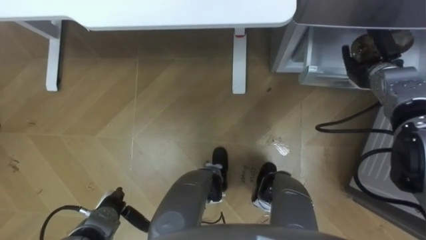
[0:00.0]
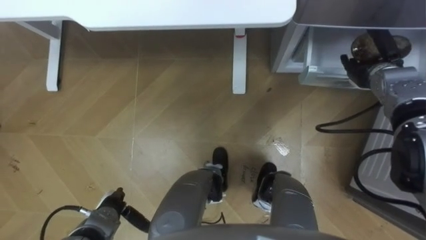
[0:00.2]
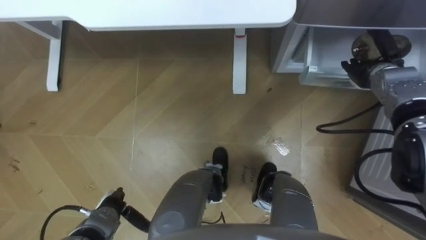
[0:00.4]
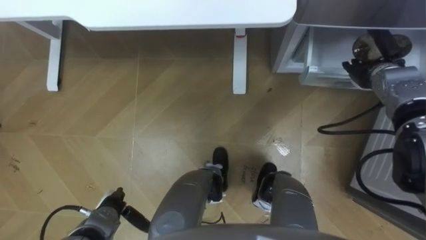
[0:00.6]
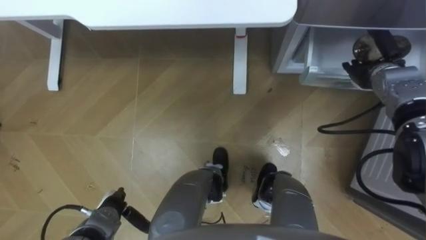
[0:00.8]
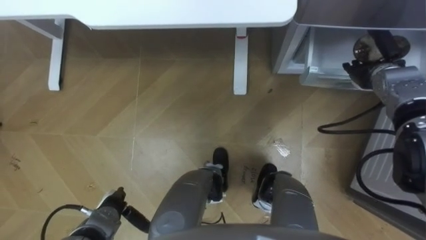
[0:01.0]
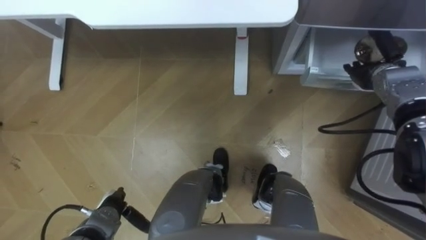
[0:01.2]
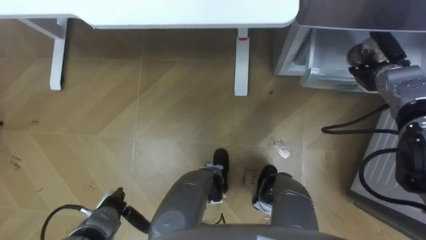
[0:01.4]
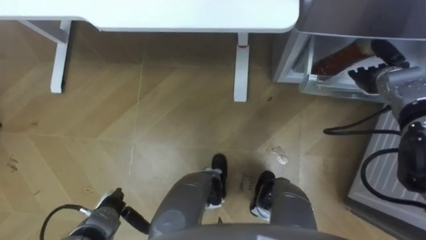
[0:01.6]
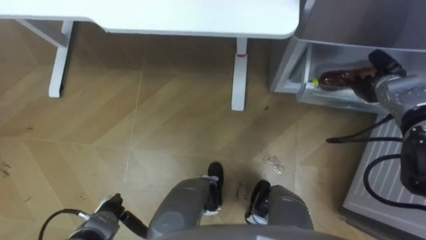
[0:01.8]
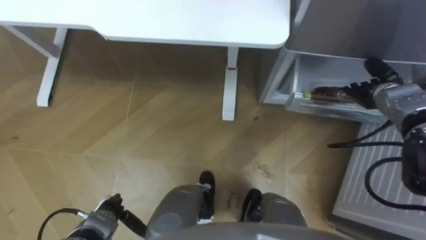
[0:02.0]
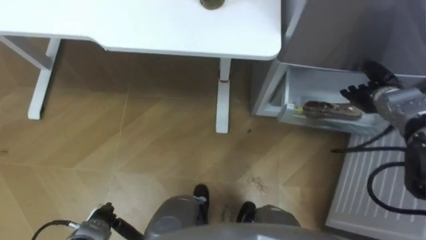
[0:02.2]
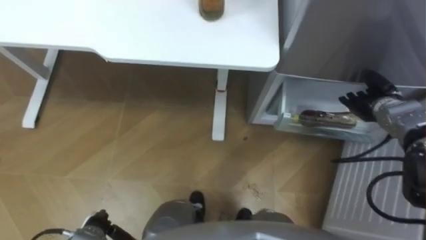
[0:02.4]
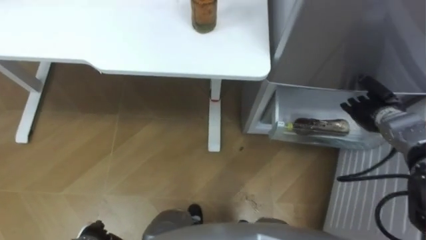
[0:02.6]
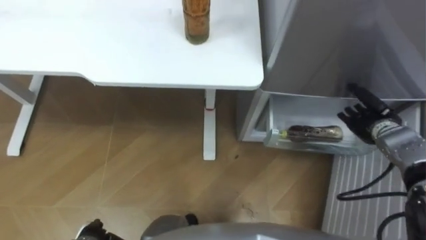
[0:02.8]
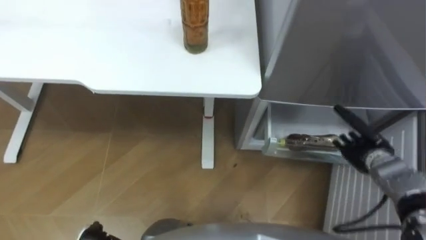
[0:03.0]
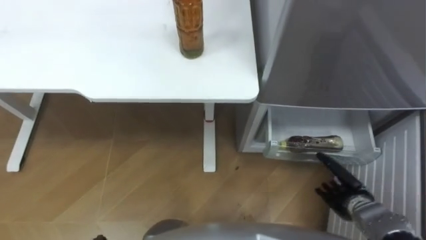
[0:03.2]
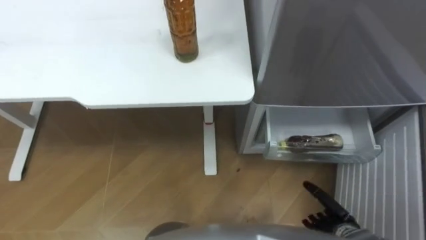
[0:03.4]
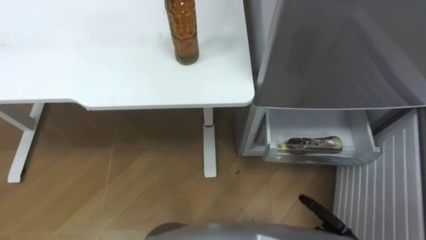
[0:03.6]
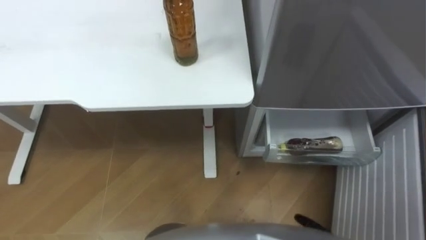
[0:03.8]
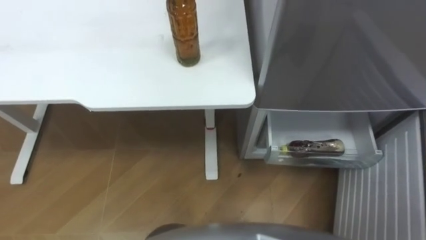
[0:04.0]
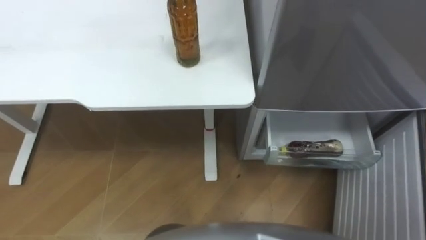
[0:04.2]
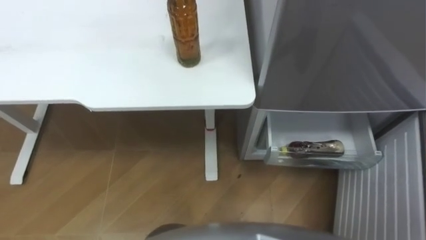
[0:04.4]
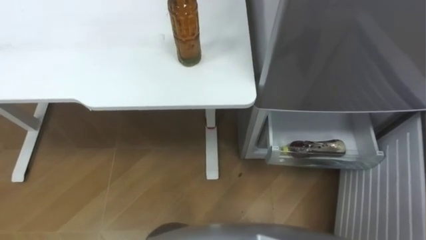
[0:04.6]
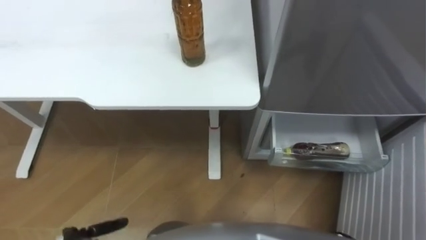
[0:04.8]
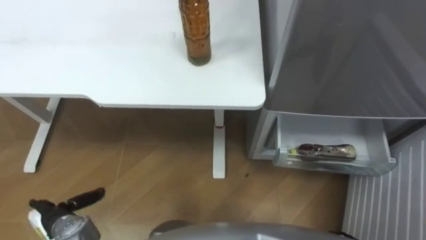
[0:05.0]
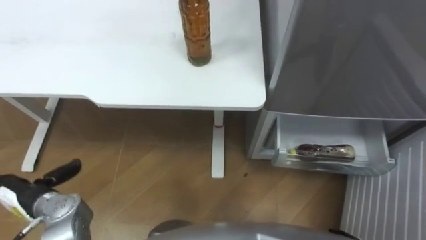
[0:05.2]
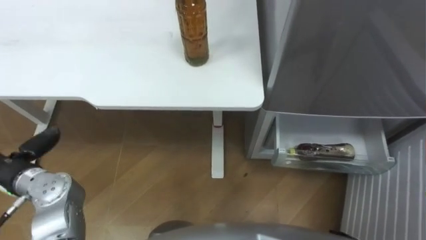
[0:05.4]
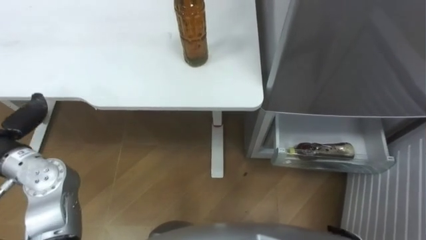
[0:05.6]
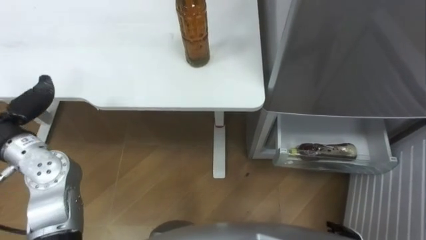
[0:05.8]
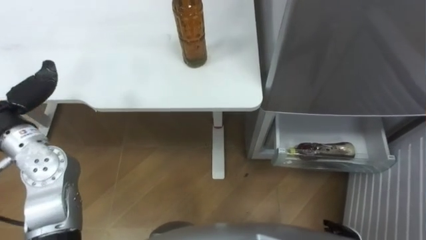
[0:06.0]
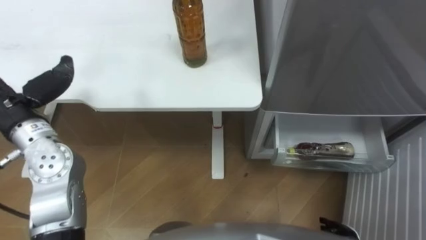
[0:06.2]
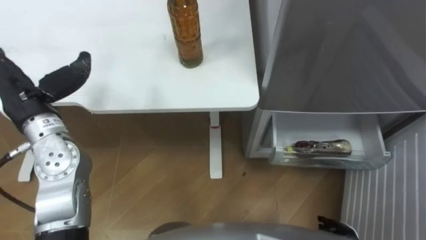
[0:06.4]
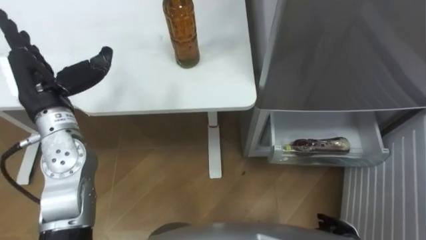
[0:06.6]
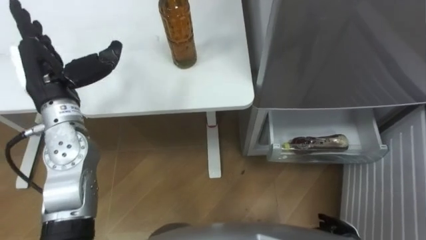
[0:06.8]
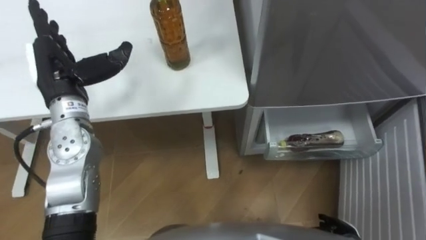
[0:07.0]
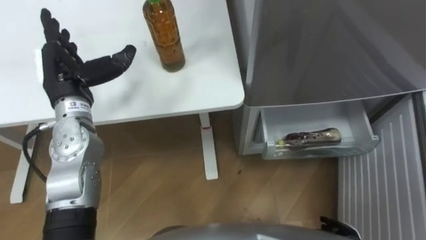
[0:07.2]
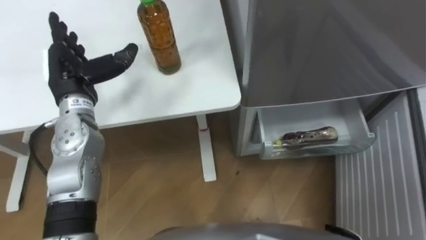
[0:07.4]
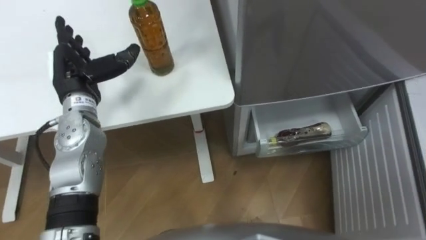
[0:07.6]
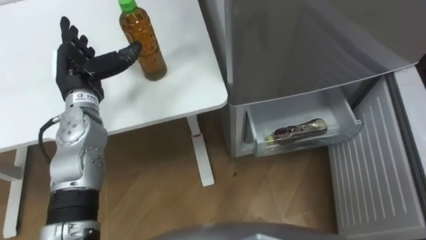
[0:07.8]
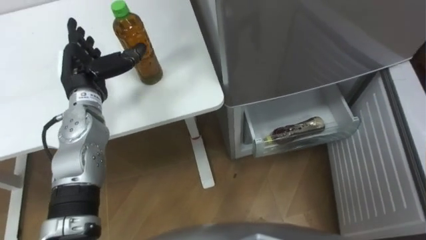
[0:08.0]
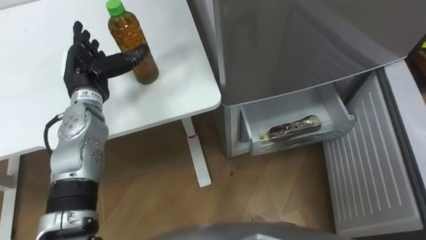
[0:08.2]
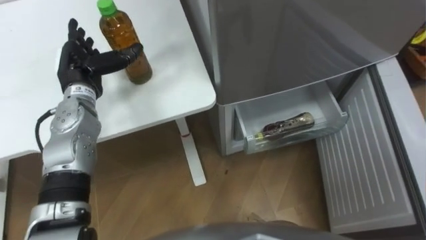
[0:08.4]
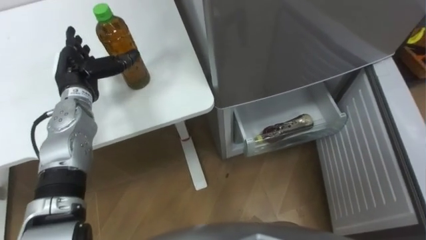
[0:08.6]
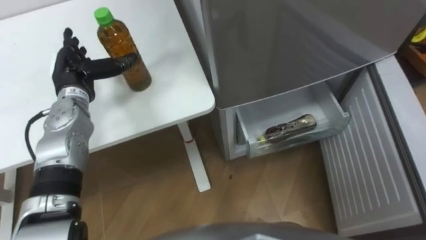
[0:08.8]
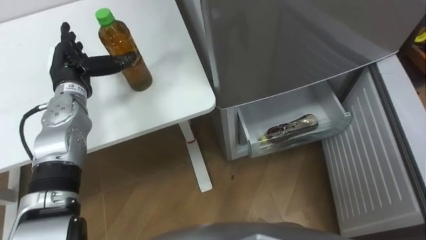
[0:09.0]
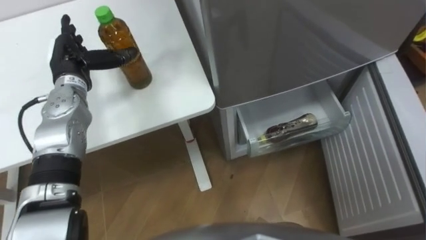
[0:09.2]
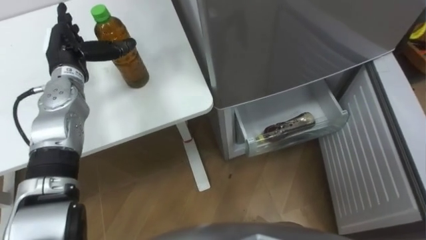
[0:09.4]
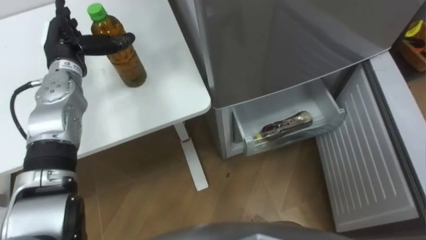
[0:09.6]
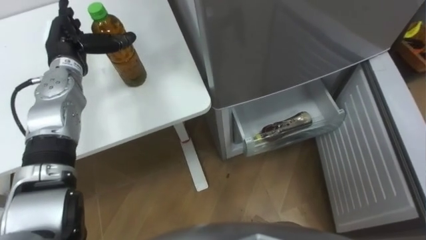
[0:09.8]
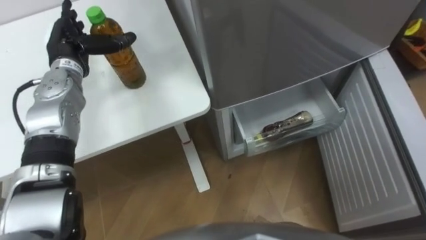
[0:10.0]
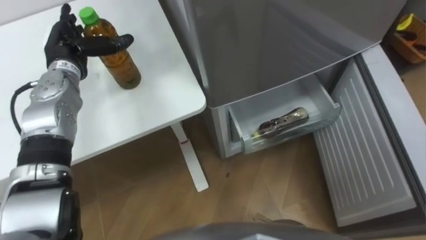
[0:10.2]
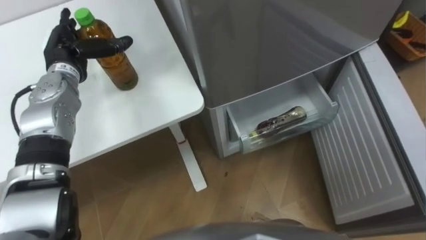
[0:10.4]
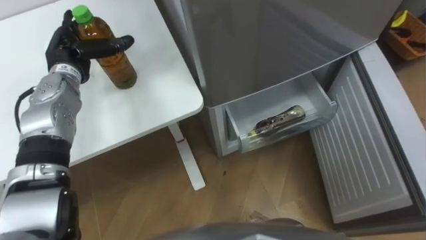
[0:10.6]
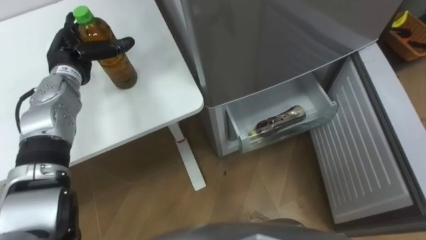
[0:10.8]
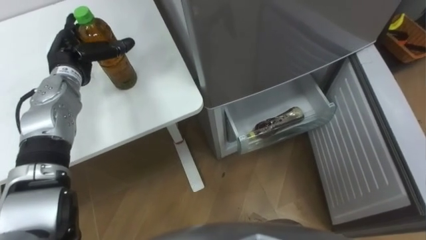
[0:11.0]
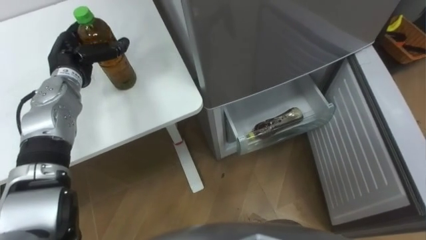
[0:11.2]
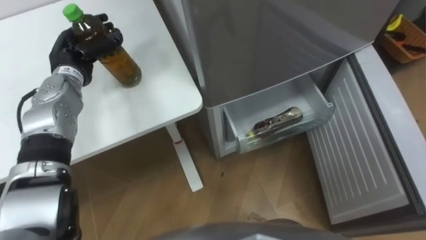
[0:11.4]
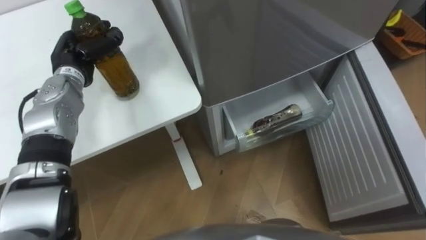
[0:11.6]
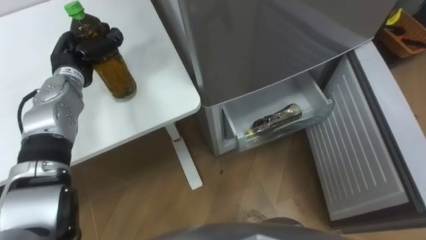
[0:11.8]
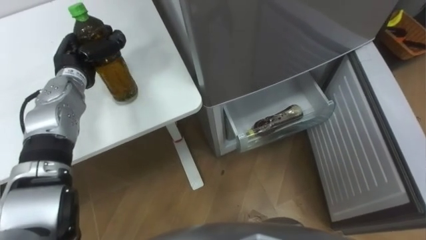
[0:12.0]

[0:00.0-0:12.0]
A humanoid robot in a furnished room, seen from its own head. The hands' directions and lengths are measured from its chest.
Task of the whole recording: Place the drink on the table on the bottom shelf of the refrigerator, then close the drawer and the refrigerator door.
0:01.6 to 0:03.0: The right hand goes about 15 cm backward and downward.
0:10.4 to 0:12.0: The left hand closes.

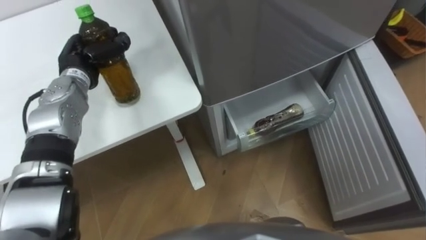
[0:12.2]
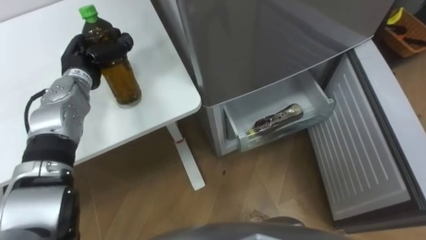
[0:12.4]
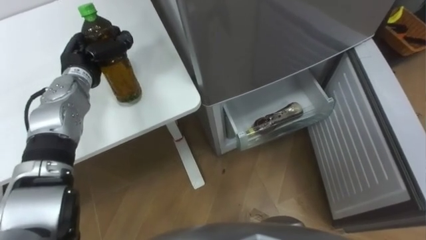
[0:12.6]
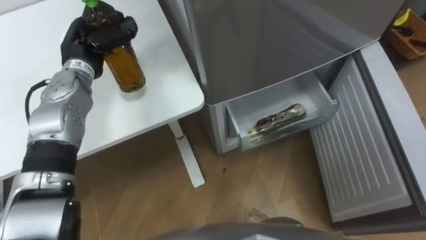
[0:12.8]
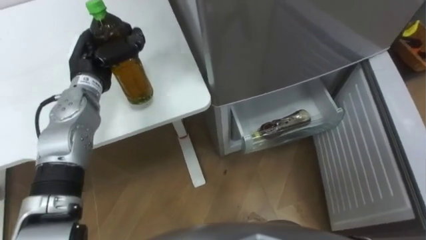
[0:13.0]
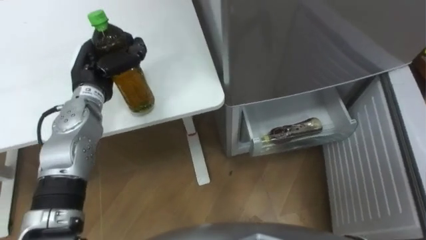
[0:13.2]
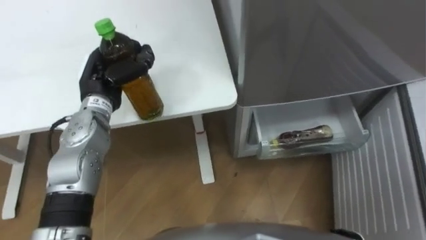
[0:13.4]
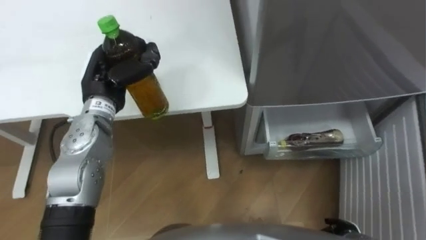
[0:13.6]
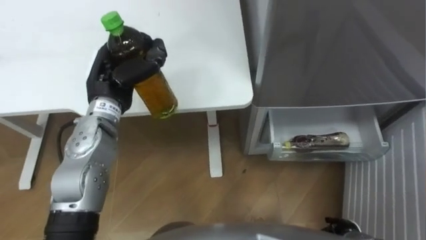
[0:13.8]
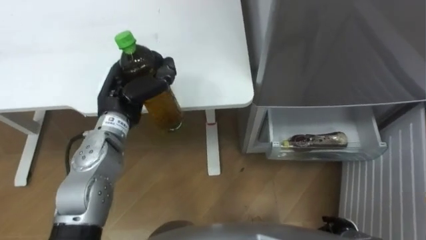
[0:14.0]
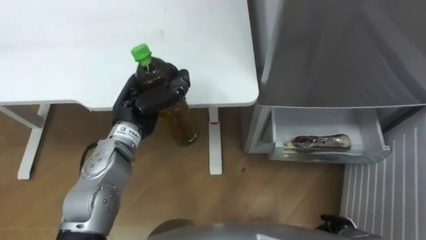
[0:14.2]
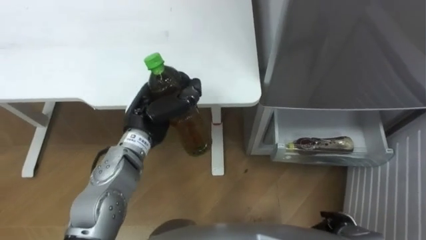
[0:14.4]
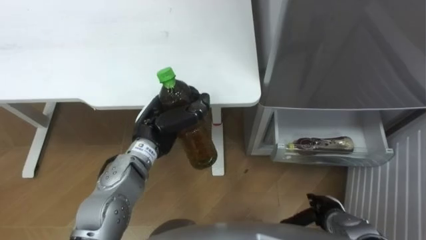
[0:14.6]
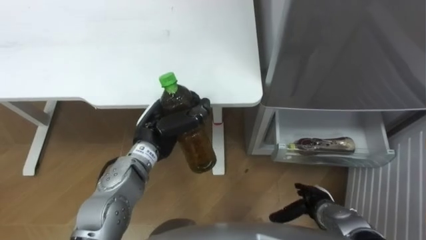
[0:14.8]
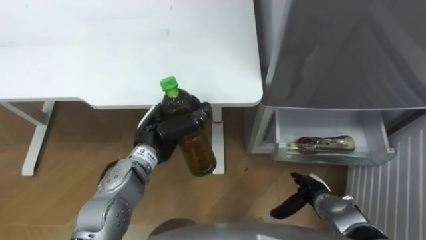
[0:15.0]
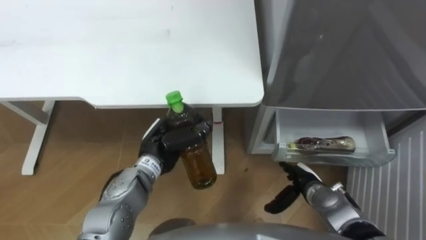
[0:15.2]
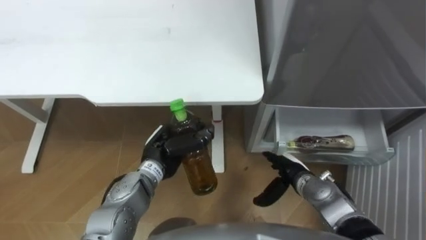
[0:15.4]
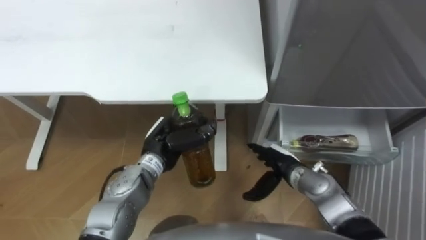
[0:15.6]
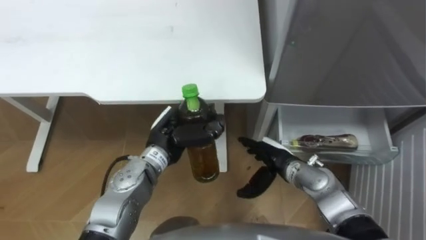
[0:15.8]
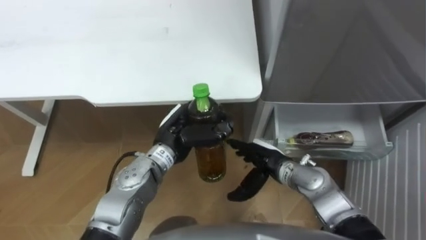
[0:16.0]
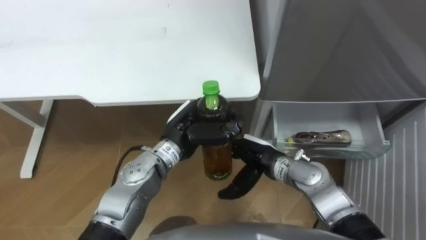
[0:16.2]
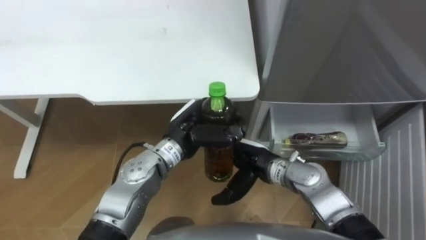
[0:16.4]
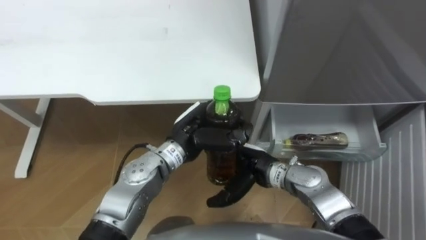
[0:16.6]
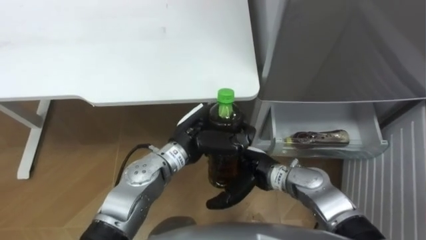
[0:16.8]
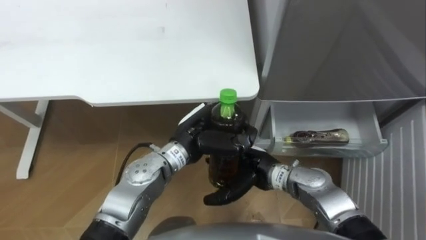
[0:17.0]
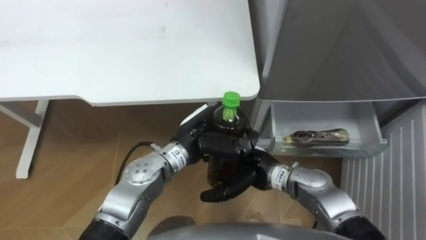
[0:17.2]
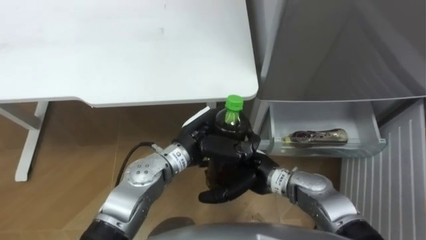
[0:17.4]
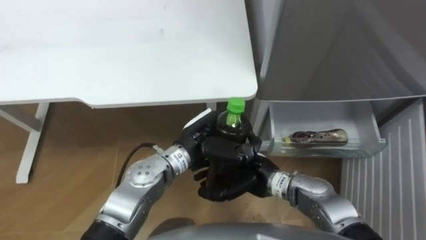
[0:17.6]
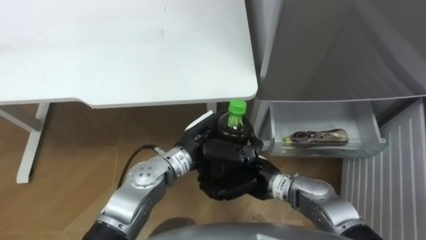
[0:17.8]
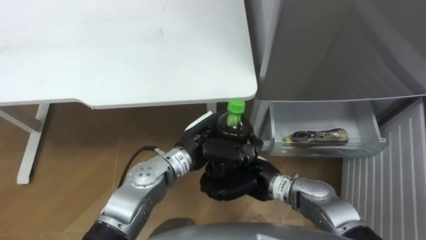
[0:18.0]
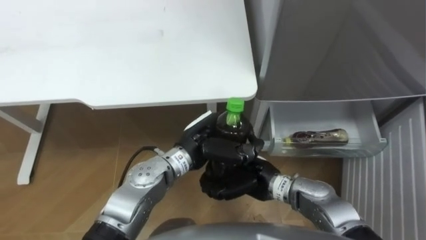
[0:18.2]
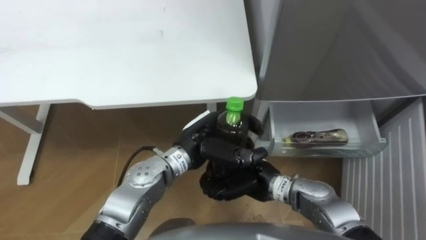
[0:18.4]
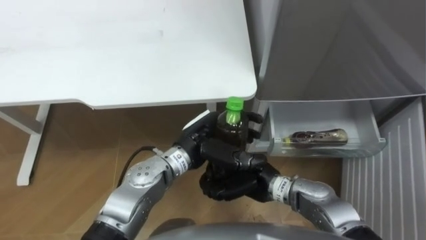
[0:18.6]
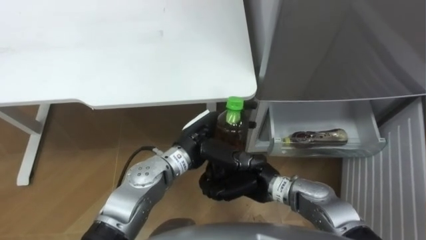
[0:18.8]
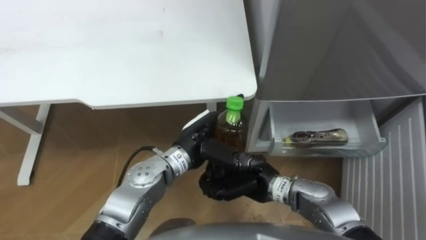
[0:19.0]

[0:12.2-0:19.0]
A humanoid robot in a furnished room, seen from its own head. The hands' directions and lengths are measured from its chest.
Task of the whole recording: Place the drink on the table on the bottom shelf of the refrigerator, then close the drawer and the refrigerator door.
0:12.2 to 0:13.6: The left hand heads backward and to the right, covering approximately 10 cm.
0:13.6 to 0:15.0: The left hand heads to the right, downward and backward, covering about 15 cm. Meanwhile the right hand travels forward and to the left by approximately 10 cm.
0:15.0 to 0:16.2: The left hand goes roughly 5 cm to the right; the right hand goes roughly 20 cm to the left, upward and forward.
0:16.2 to 0:17.6: The right hand closes up.
0:17.6 to 0:19.0: The left hand opens. The right hand closes.
